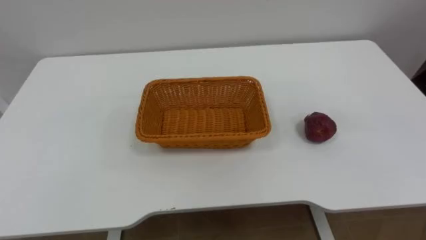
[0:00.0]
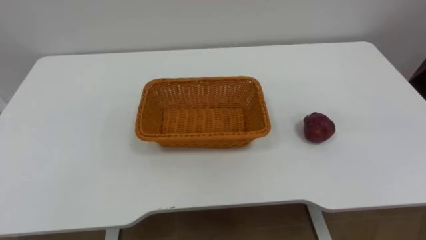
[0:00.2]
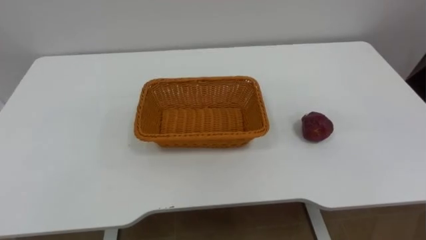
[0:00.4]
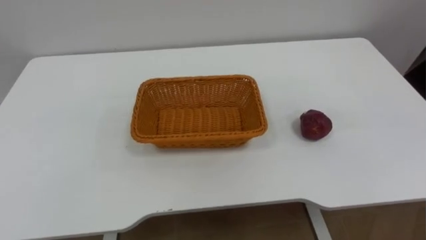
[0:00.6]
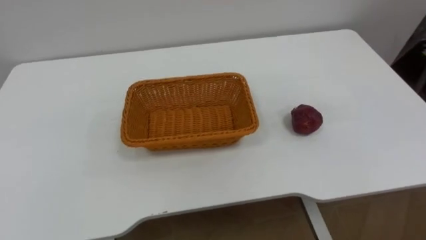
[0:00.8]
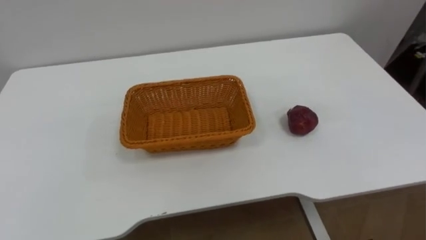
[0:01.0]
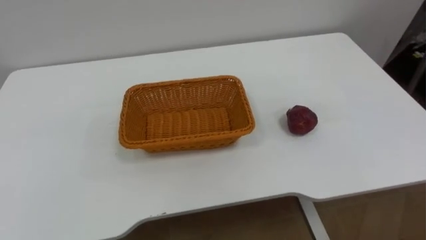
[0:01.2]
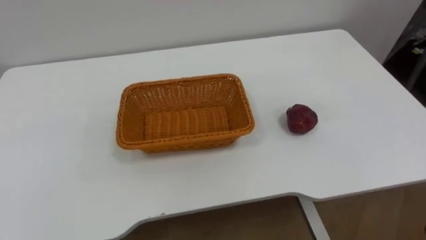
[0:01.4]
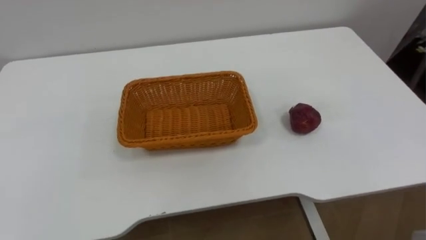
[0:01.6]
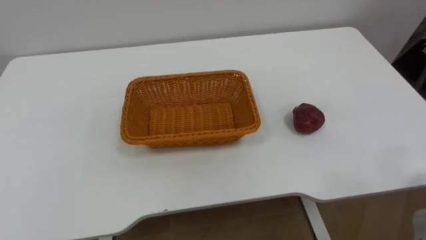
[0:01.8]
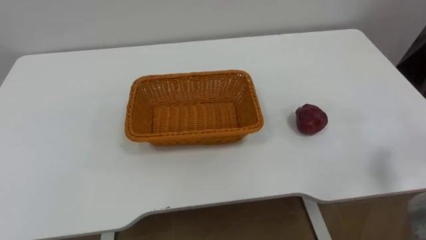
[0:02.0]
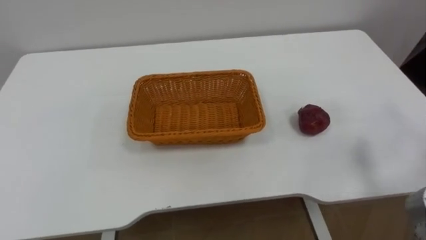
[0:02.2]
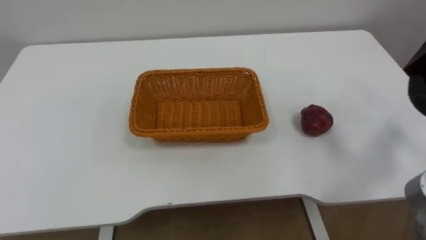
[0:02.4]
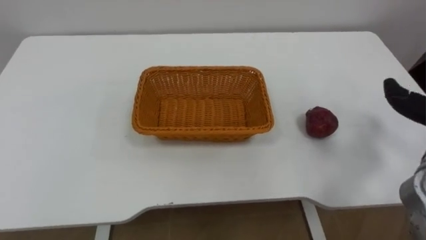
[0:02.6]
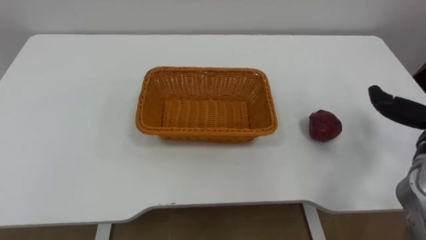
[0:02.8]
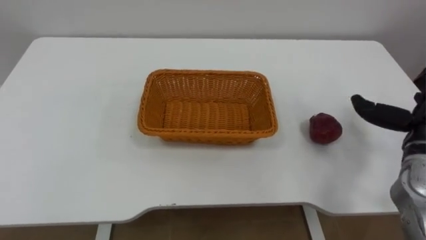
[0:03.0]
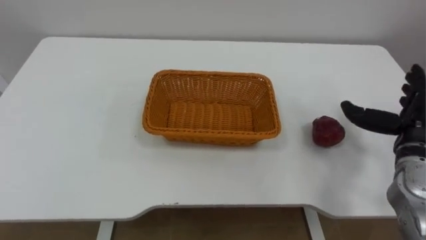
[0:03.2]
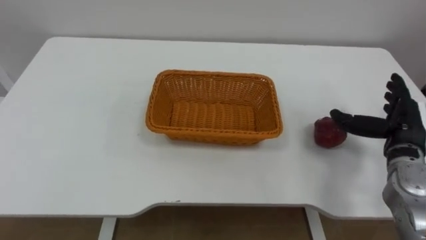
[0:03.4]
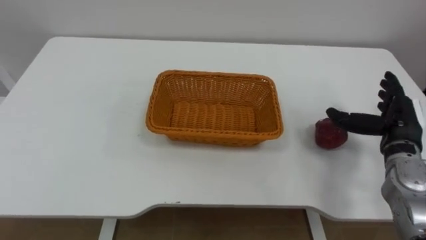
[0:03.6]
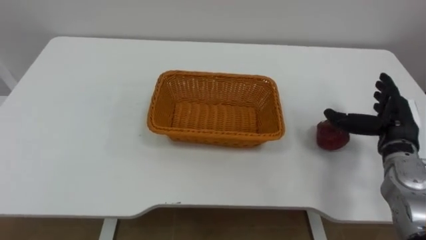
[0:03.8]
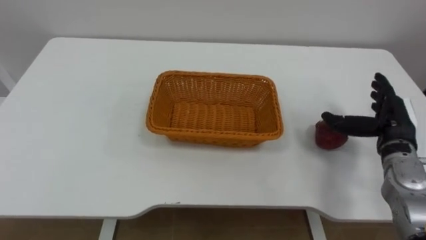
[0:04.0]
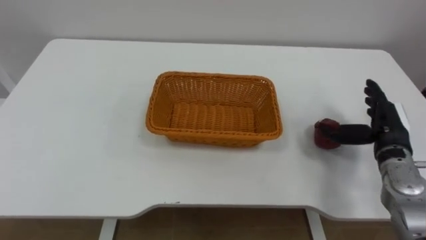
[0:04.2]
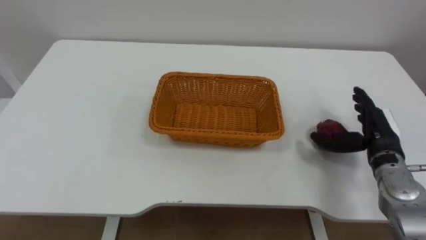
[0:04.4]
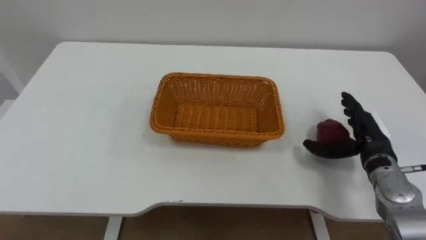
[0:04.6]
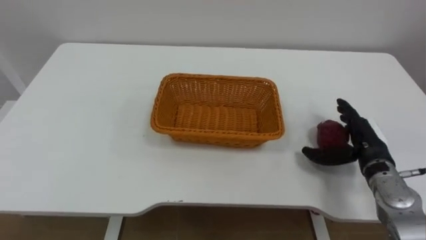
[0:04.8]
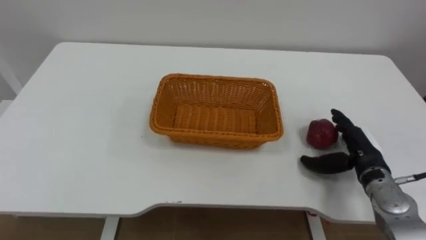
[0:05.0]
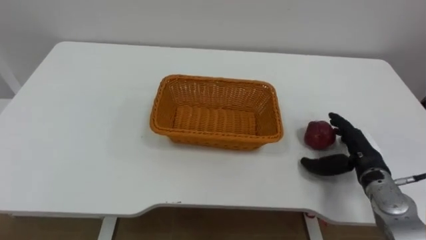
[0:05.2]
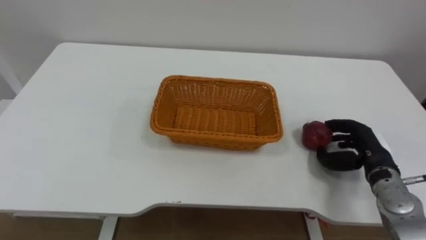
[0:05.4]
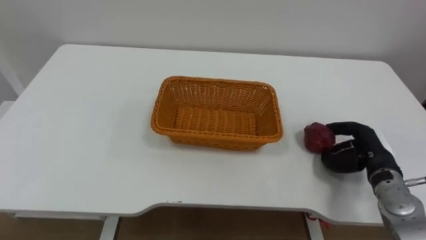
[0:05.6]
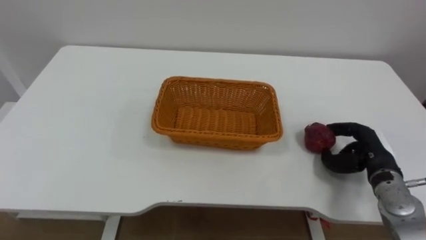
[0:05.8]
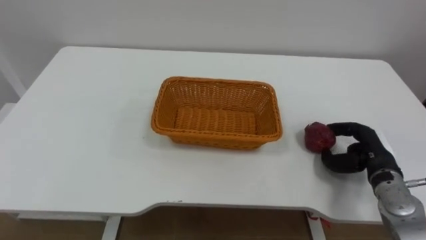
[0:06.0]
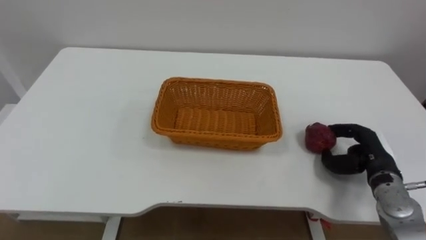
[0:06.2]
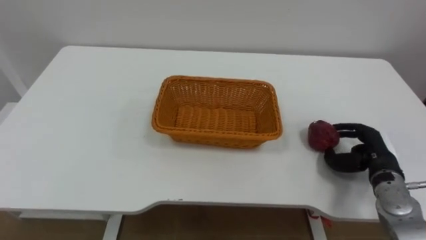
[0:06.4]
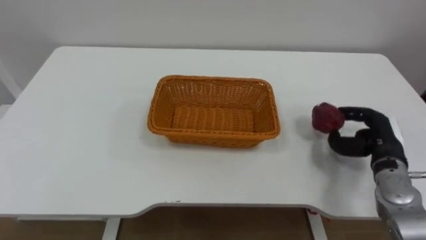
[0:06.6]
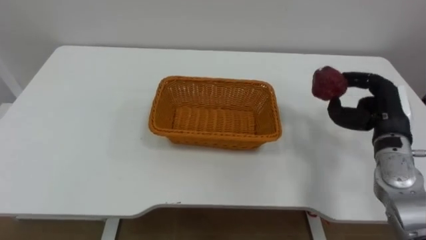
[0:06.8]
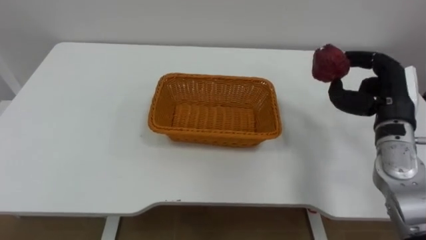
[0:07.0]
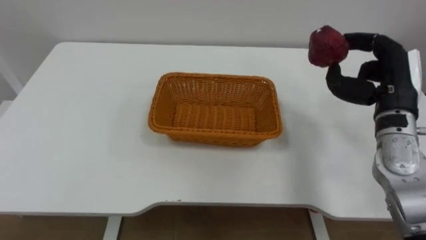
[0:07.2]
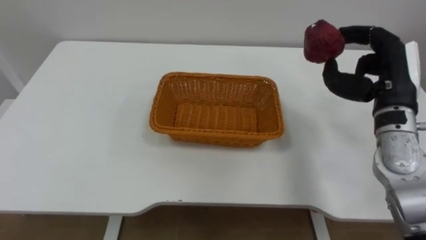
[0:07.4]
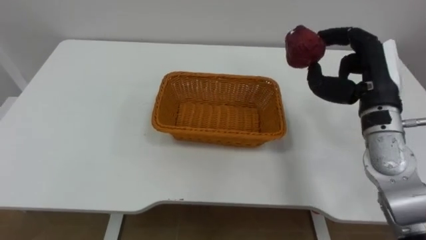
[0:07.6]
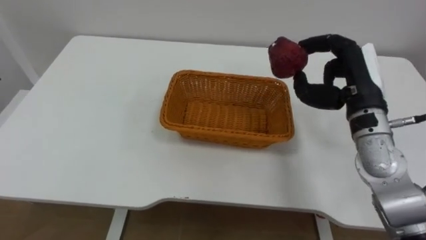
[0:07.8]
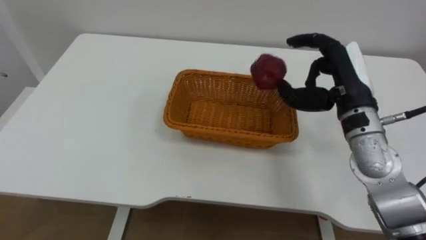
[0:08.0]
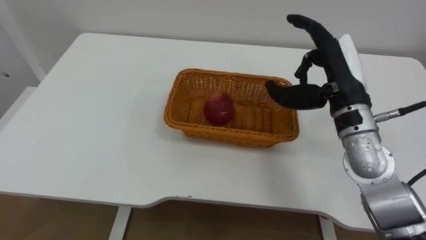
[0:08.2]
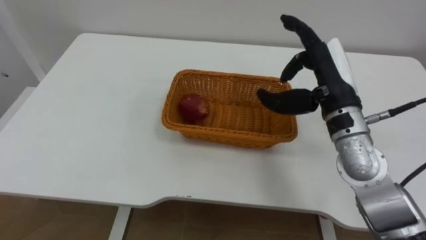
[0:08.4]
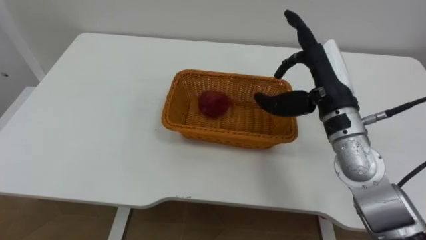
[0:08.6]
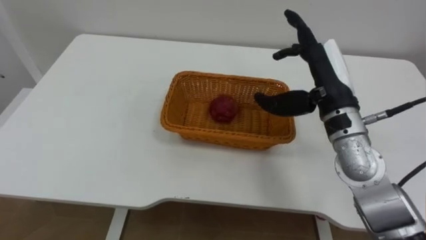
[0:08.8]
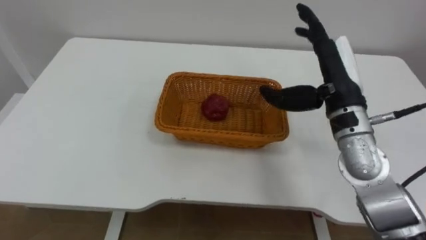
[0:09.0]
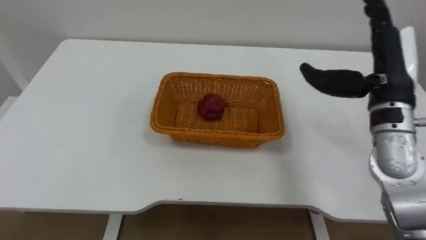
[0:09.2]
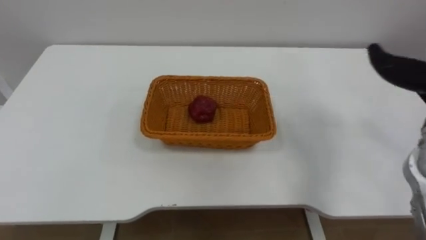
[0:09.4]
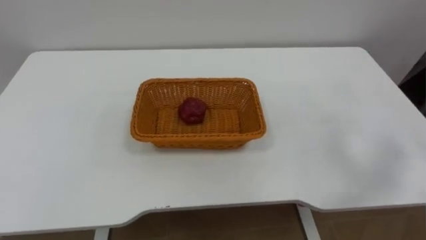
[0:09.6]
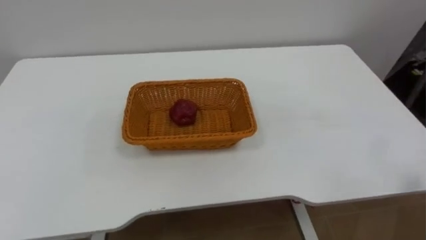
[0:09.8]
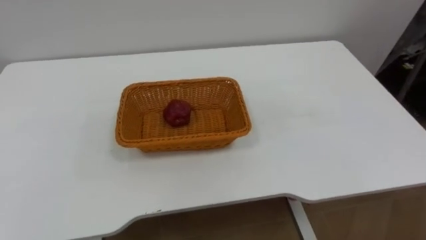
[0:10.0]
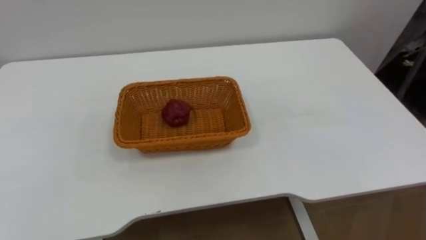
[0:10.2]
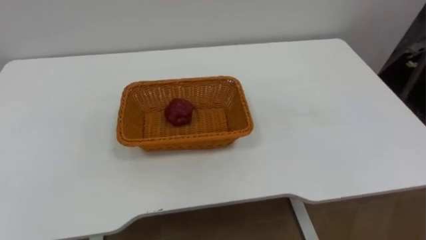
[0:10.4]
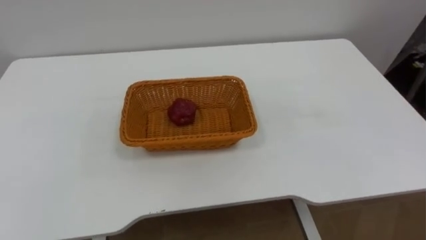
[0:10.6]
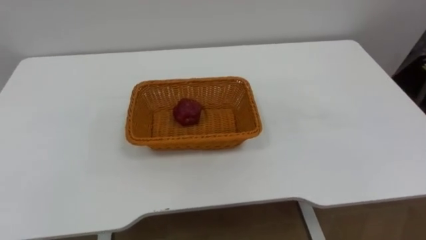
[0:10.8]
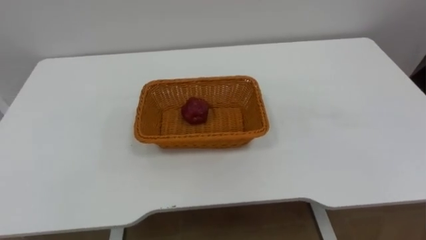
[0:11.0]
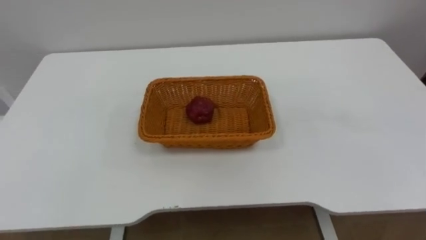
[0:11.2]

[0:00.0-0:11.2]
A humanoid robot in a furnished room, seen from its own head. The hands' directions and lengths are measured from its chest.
Task of the whole recording: Pick the apple and place it in the box.
0:03.2 to 0:04.8: The right hand shifts about 10 cm downward and to the left.
0:04.8 to 0:06.4: The right hand closes its fingers.
0:06.4 to 0:08.0: The right hand goes roughly 20 cm upward and to the left.

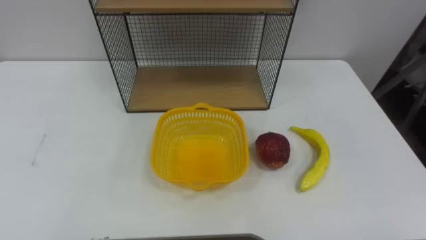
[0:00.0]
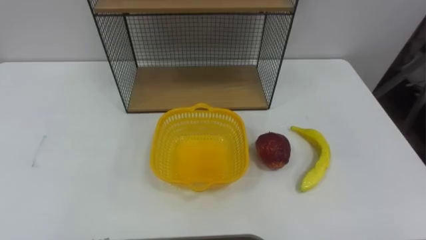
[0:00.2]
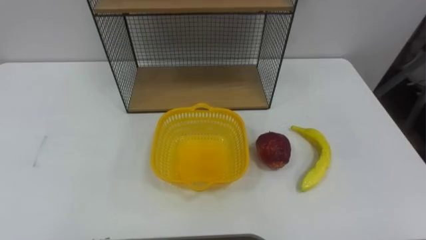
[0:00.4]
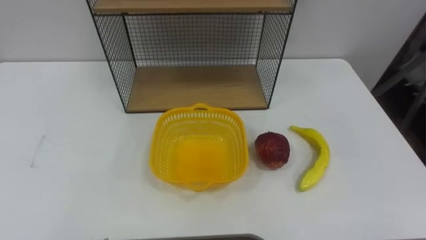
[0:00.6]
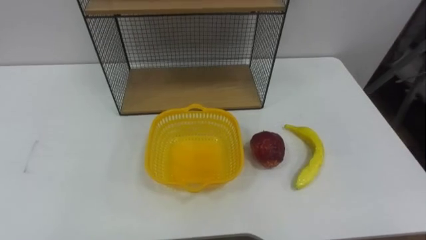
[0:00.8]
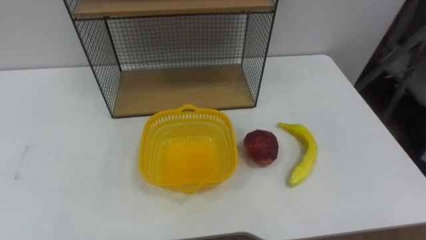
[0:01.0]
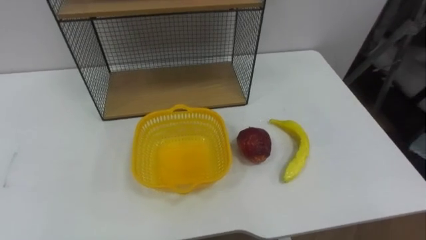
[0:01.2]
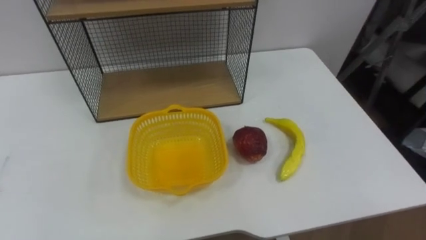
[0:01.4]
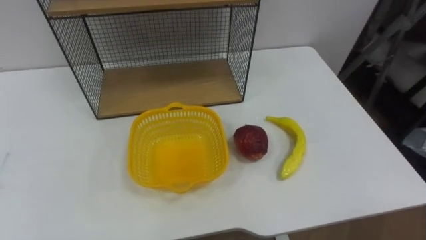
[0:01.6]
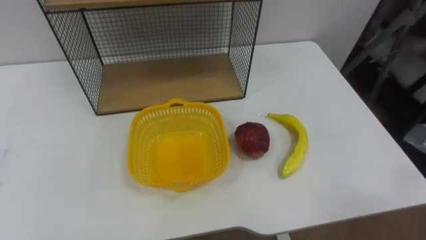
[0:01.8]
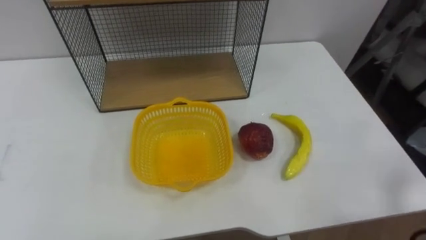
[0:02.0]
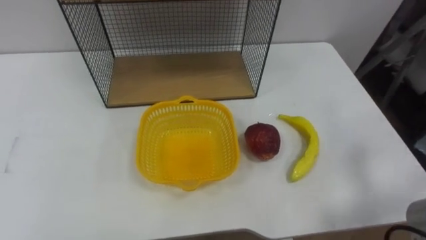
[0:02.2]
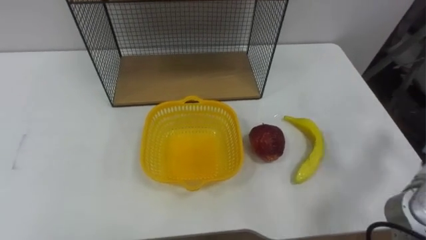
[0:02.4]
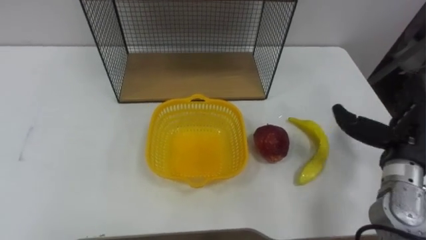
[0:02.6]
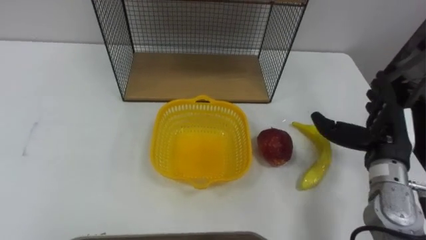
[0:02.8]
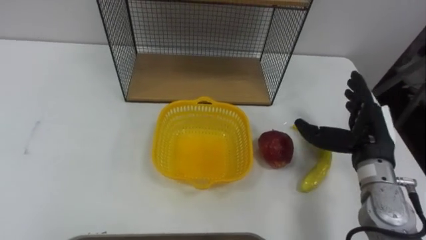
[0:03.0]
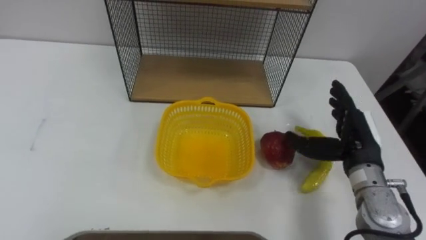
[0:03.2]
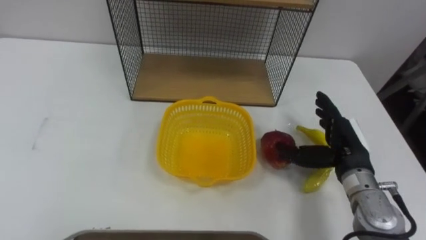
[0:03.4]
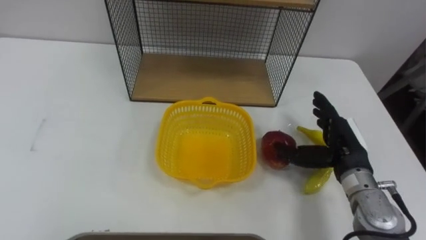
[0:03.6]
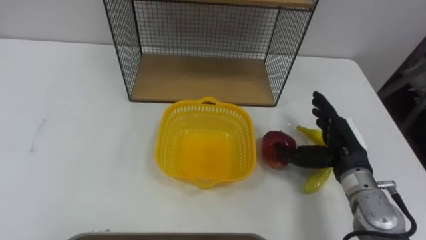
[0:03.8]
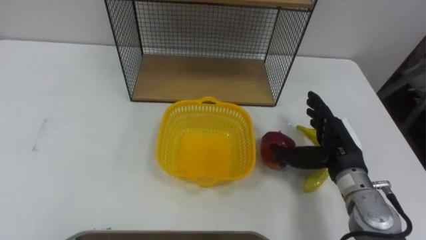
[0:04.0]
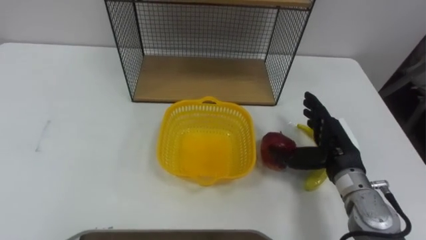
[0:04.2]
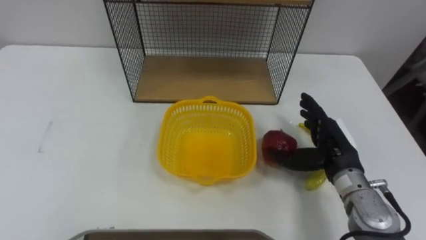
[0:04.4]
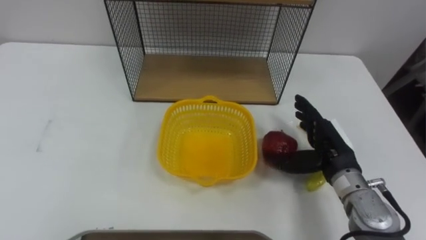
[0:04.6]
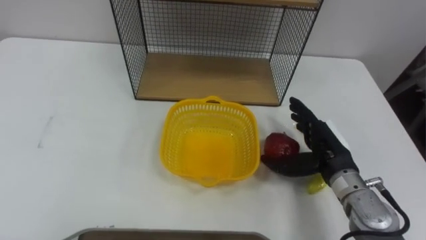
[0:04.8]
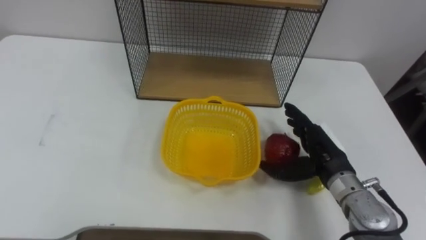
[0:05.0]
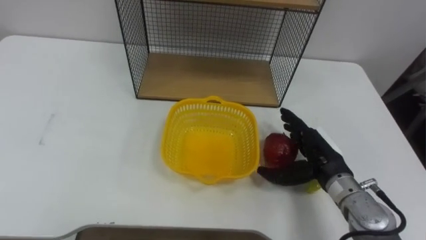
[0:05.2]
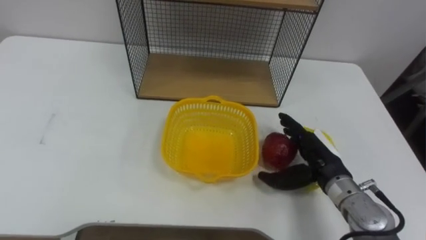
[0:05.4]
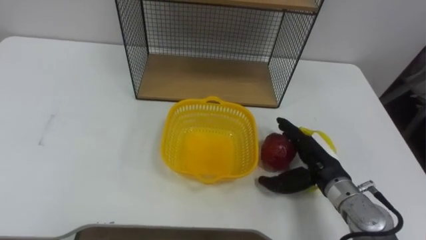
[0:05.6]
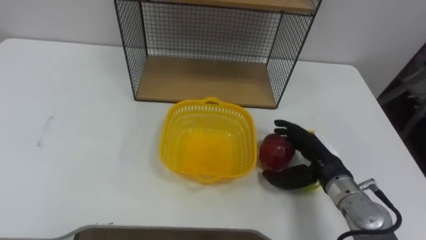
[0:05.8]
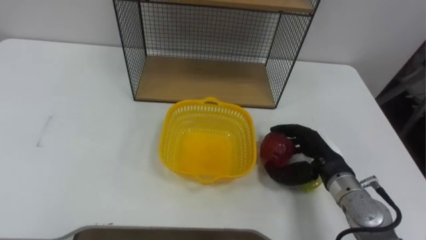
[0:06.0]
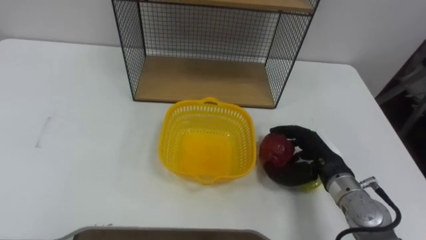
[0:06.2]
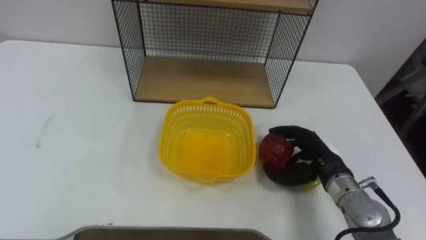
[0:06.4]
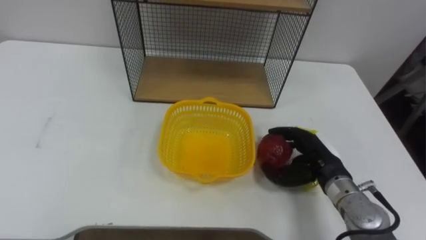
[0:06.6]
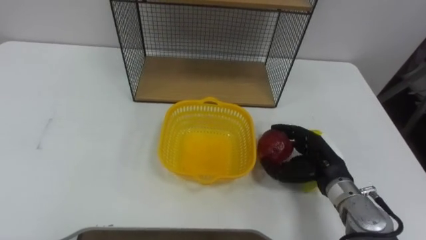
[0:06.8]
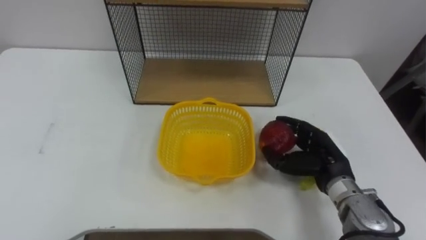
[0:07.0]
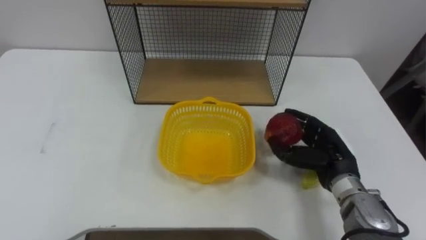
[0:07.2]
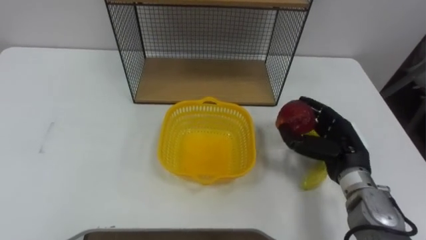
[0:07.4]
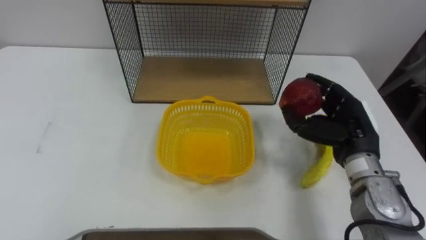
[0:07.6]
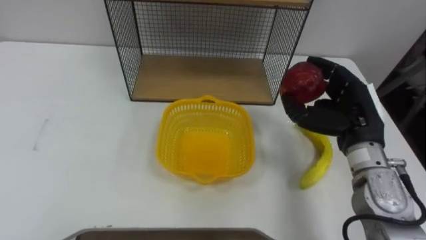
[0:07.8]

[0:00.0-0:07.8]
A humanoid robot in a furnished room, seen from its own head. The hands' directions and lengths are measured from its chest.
Task of the whole recording: Put the fruit on the table into the basket, then place the basket on the shelf.
0:04.6 to 0:06.2: The right hand closes up.
0:06.2 to 0:07.8: The right hand travels upward by approximately 10 cm.
